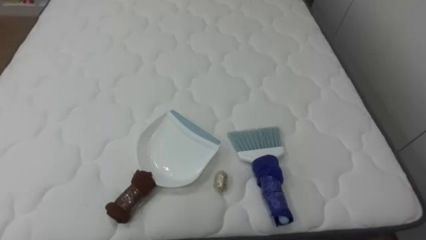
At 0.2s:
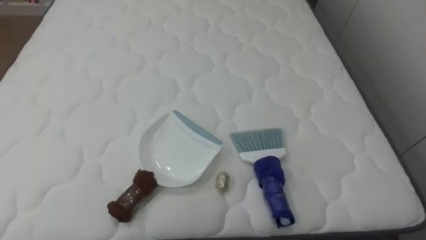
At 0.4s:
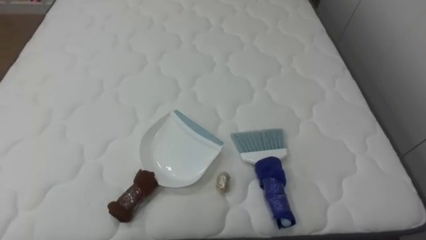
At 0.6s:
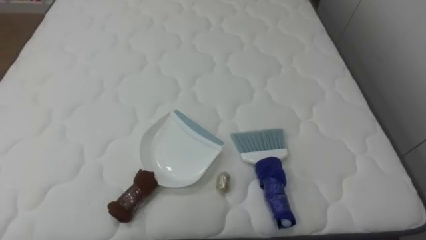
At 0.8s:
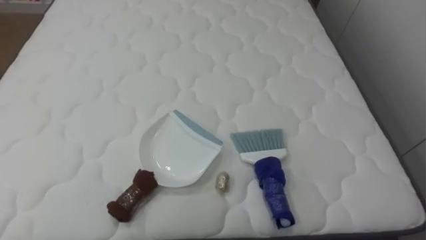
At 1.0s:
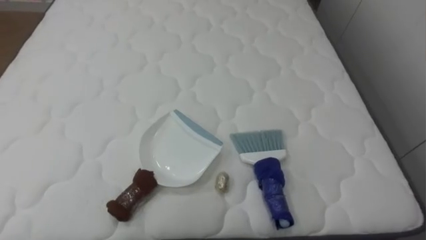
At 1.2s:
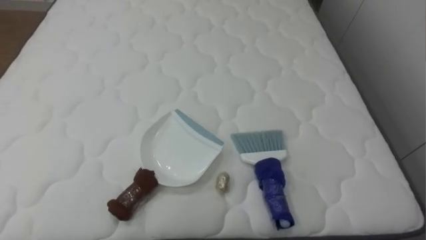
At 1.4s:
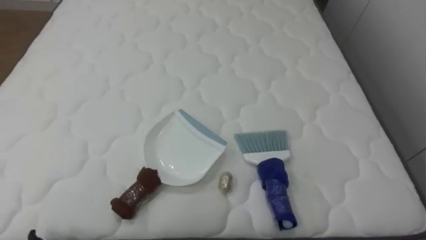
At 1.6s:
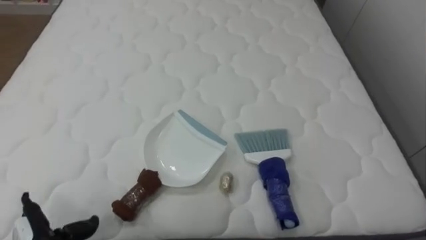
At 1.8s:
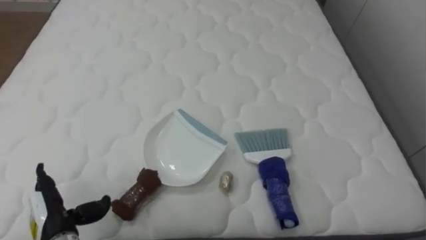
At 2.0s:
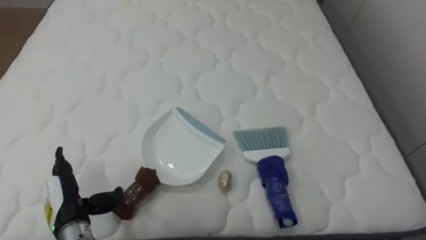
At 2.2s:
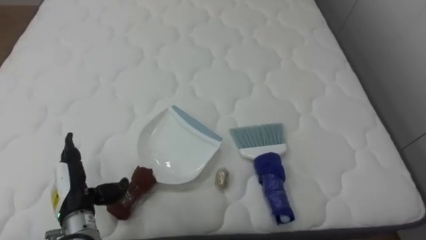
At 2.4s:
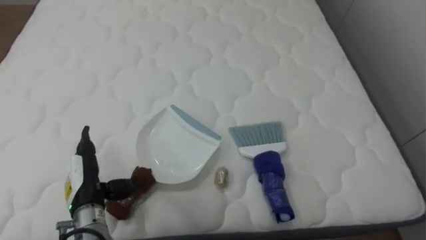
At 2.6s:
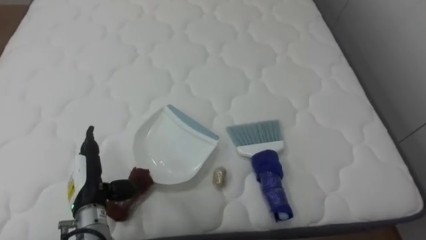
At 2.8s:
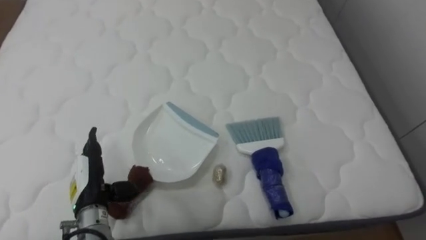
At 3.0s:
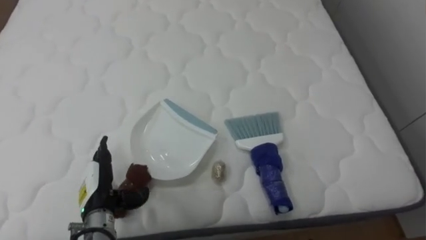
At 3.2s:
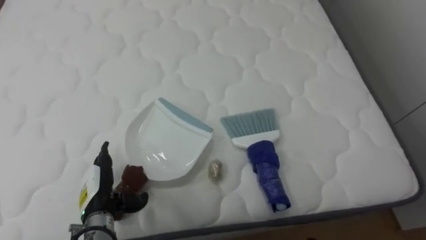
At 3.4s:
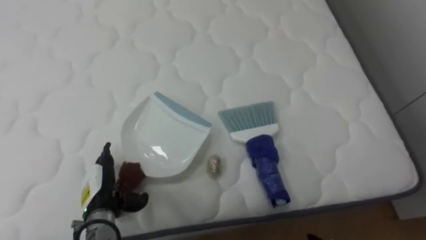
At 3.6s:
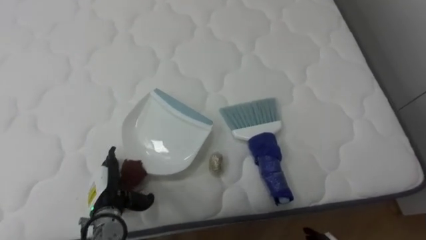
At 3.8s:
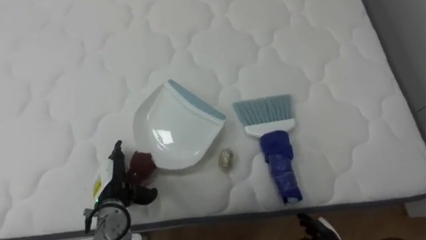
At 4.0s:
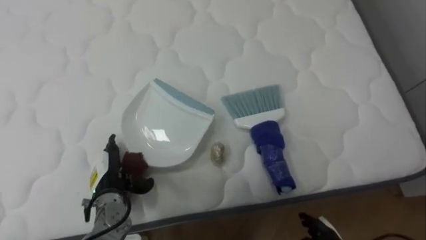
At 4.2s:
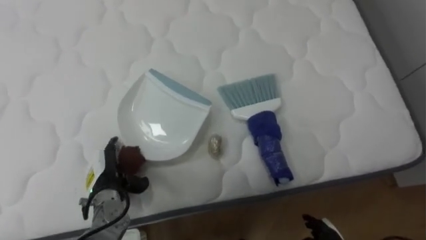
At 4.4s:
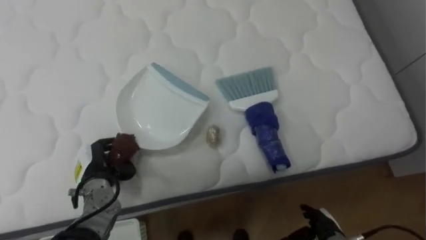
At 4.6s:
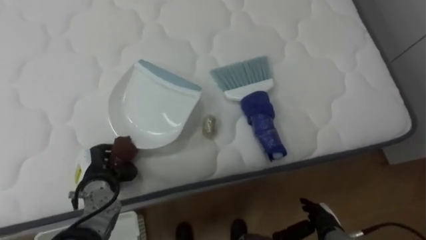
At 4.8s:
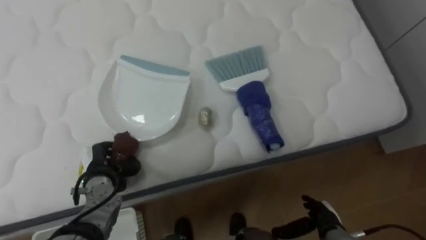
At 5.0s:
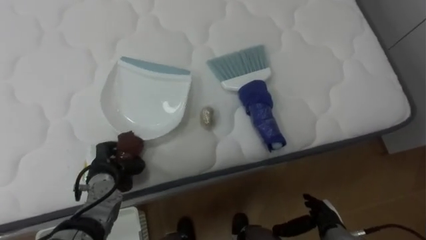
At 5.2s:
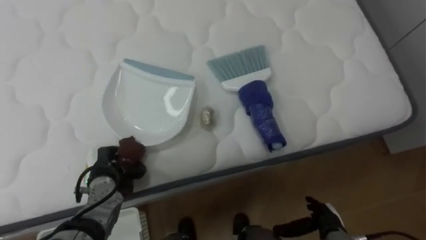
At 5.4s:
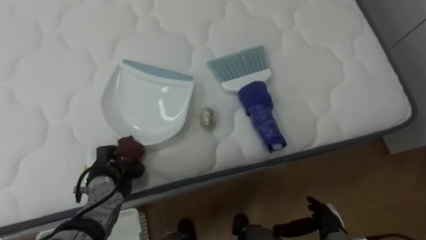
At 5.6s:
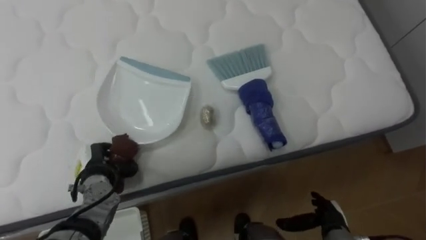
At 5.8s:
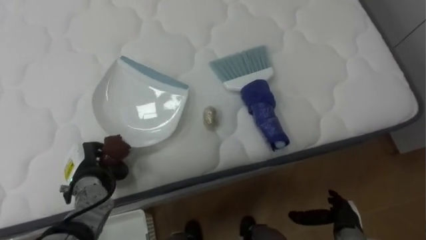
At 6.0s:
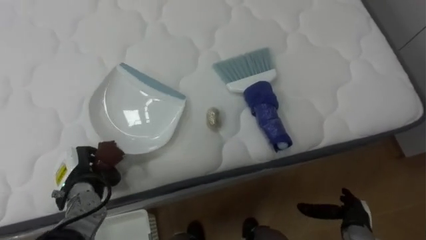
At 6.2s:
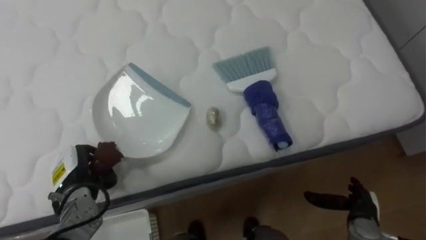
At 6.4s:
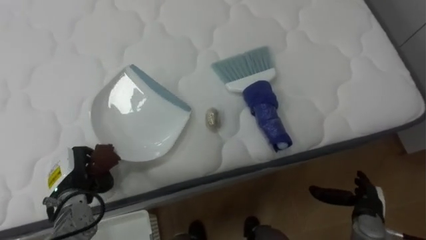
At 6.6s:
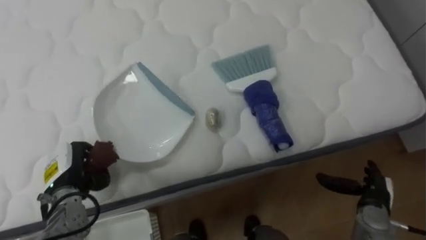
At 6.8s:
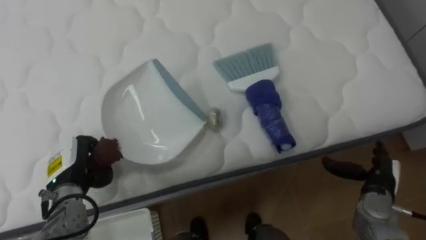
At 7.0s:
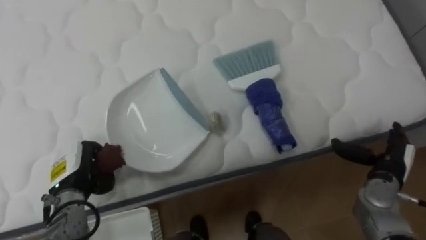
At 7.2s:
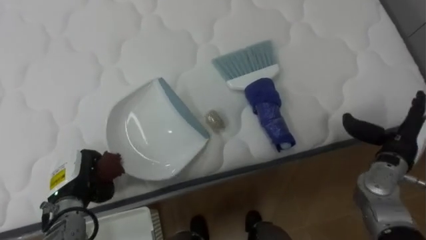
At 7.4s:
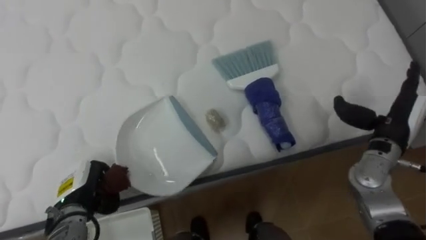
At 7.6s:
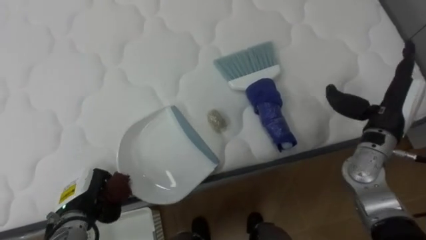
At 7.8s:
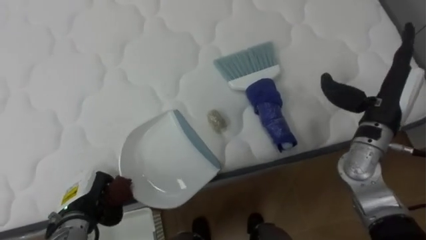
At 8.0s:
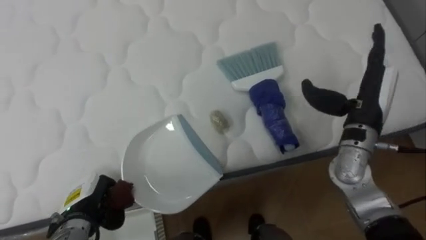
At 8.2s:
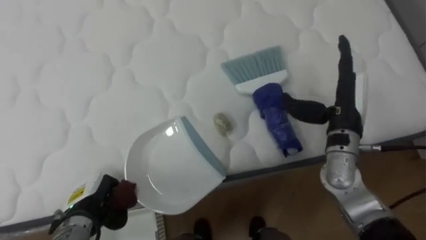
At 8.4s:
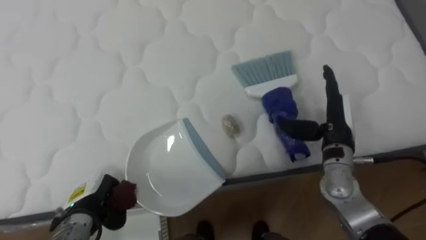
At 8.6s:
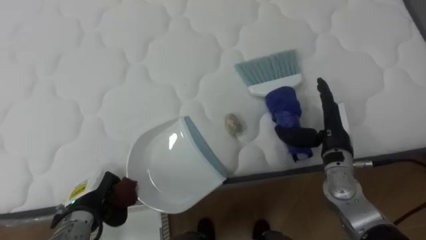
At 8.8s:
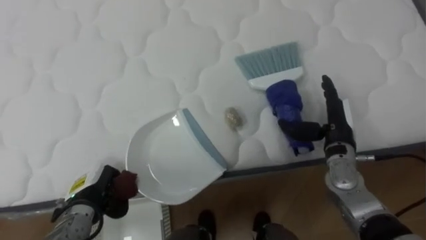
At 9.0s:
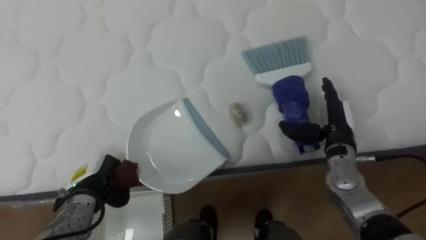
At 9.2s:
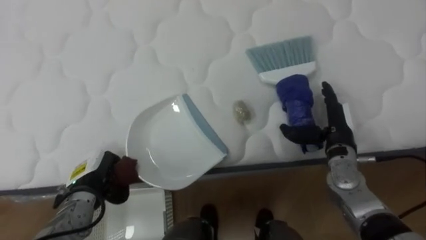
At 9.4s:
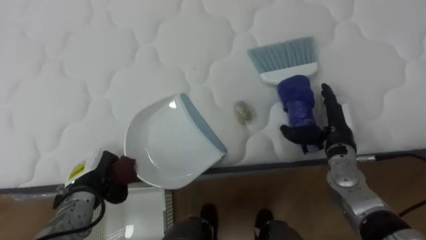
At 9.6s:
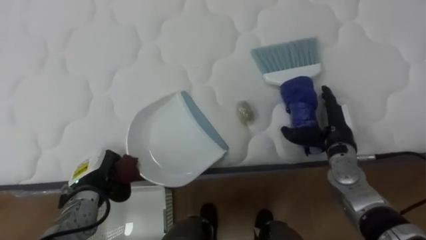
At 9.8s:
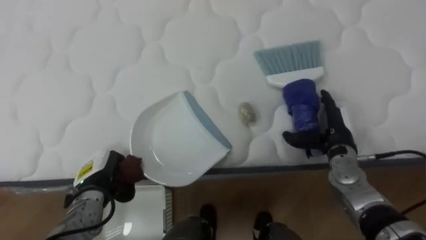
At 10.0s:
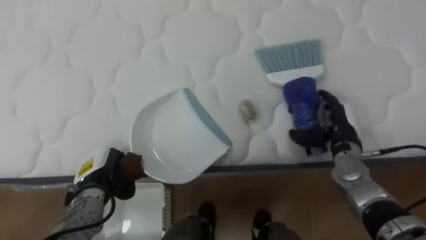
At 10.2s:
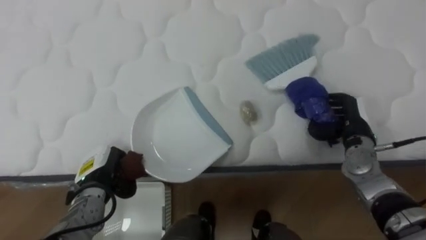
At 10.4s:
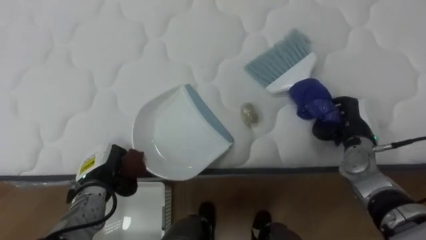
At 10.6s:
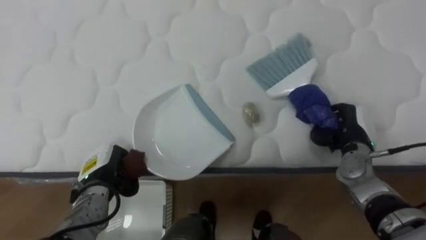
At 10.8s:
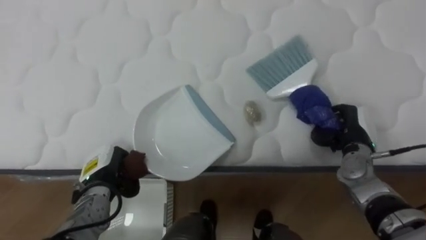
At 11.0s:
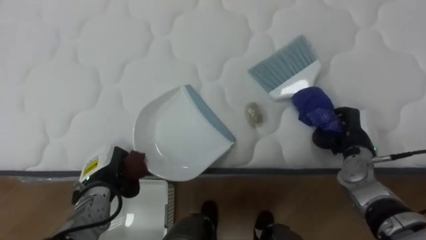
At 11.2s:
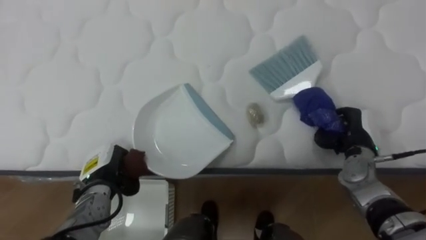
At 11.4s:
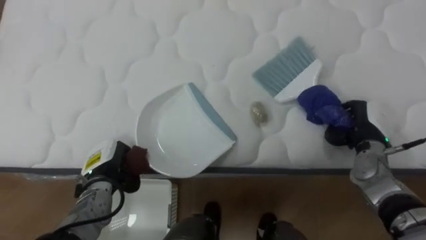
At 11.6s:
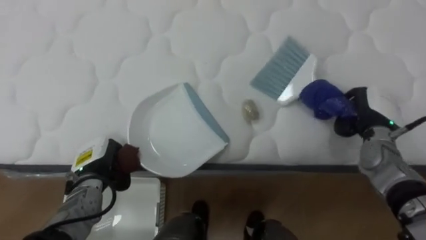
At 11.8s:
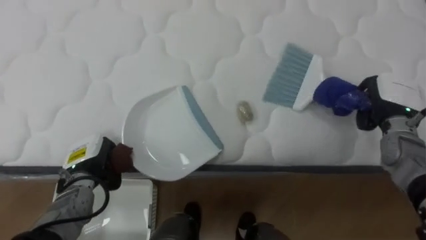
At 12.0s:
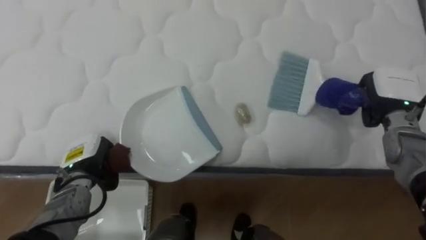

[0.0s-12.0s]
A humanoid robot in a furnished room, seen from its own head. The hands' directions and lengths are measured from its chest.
Task of the whole recording: Pick up the brush on your right and the dustpan on your left. Use the brush to sweep the crumpled paper on the bed into the dustpan, then turn left and empty it into the basket.
3.0s to 4.4s: The left hand travels forward by roughly 5 cm, and closes up.
4.4s to 6.0s: The left hand closes up; the right hand goes some 5 cm to the right.
6.0s to 7.6s: The right hand shifts some 25 cm upward and forward.
7.6s to 9.0s: The right hand moves downward and to the left, approximately 10 cm.
9.0s to 10.4s: The right hand closes.
10.4s to 12.0s: The right hand travels upward by about 5 cm.

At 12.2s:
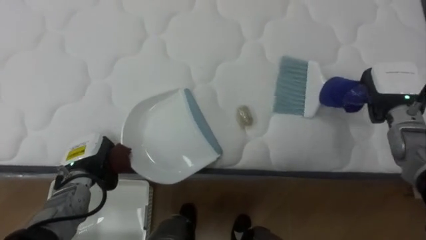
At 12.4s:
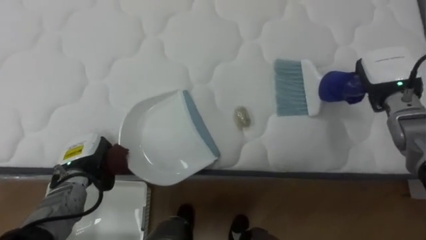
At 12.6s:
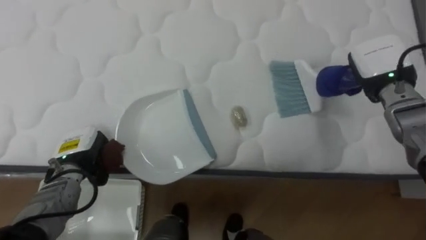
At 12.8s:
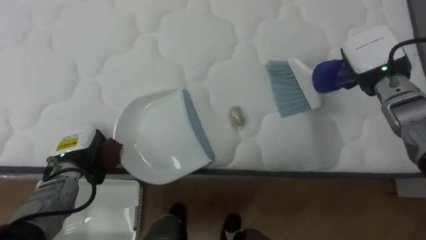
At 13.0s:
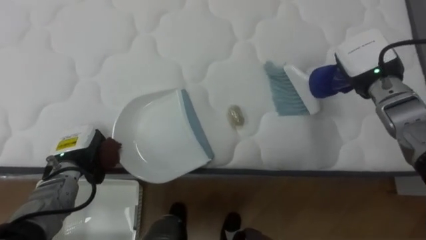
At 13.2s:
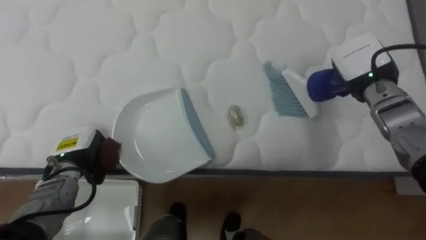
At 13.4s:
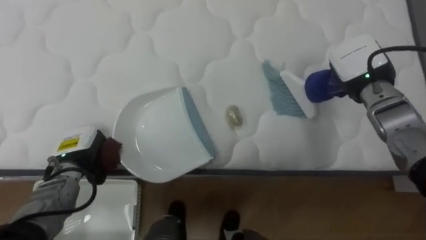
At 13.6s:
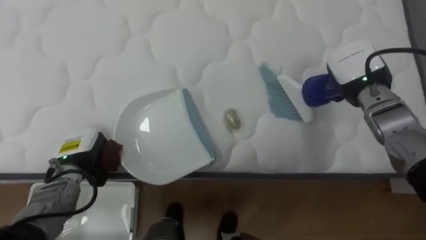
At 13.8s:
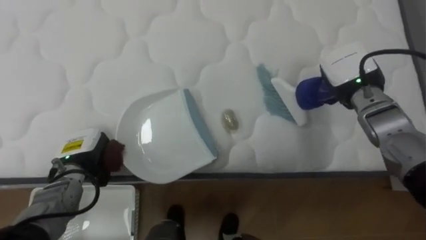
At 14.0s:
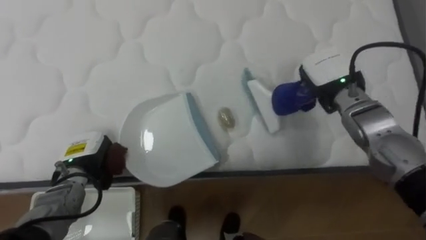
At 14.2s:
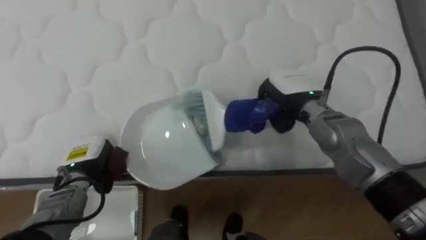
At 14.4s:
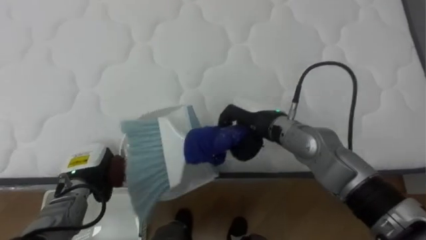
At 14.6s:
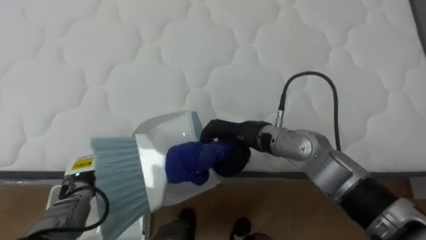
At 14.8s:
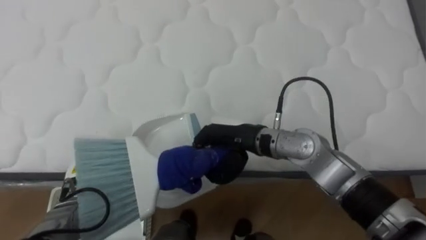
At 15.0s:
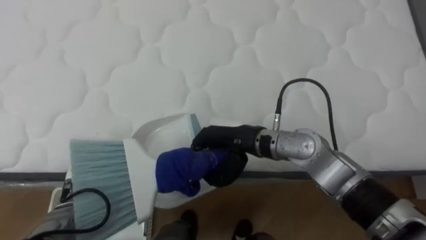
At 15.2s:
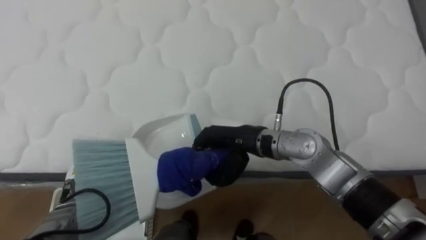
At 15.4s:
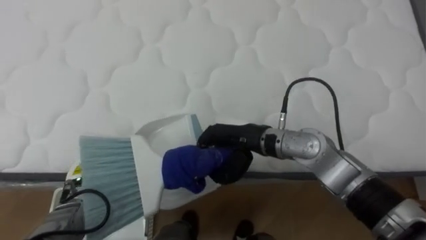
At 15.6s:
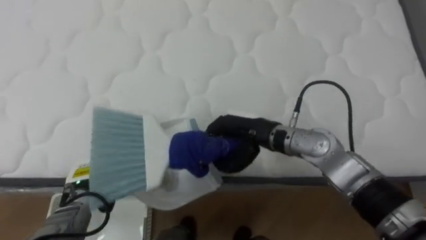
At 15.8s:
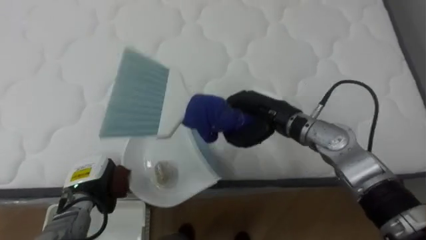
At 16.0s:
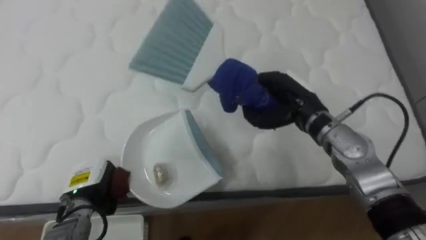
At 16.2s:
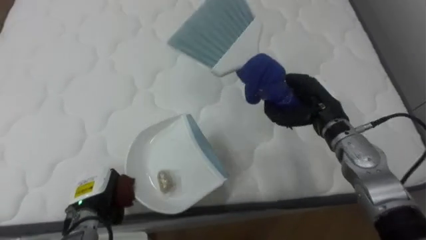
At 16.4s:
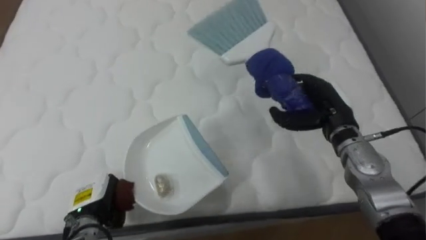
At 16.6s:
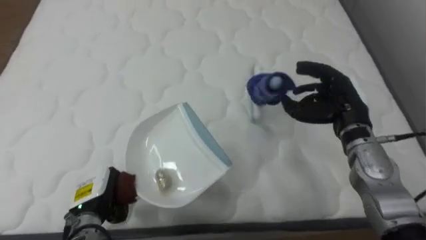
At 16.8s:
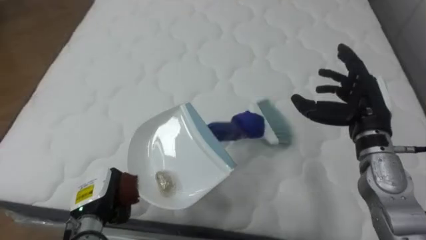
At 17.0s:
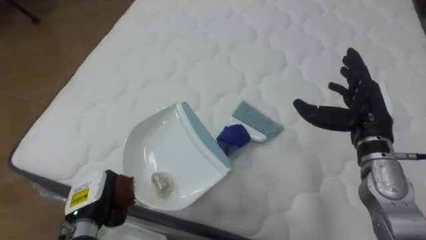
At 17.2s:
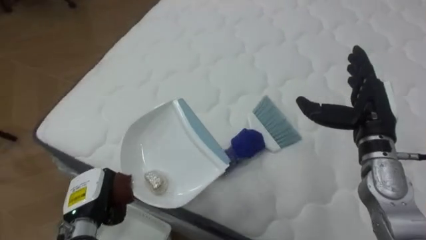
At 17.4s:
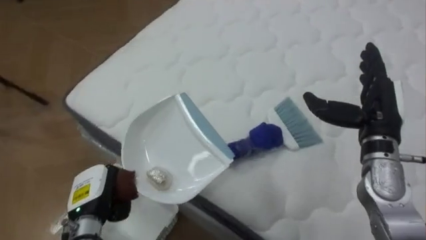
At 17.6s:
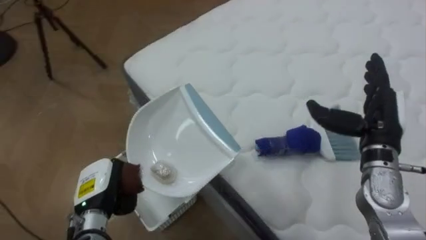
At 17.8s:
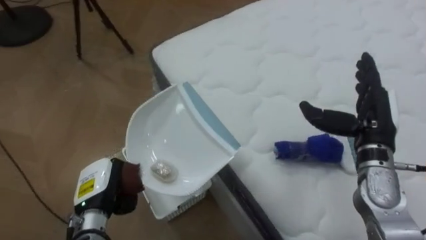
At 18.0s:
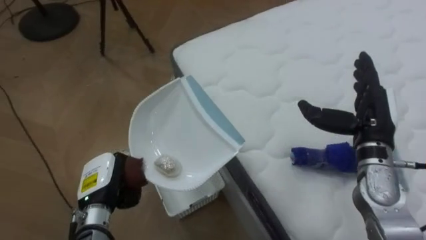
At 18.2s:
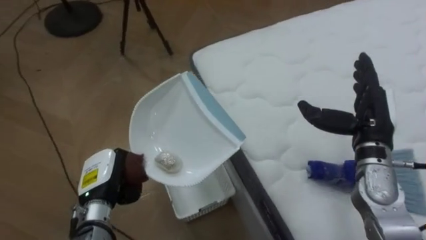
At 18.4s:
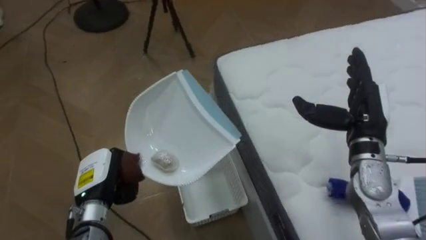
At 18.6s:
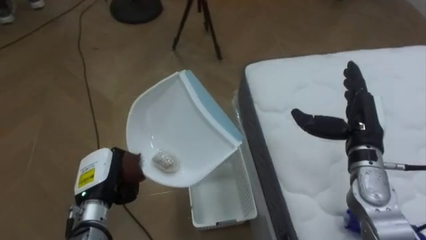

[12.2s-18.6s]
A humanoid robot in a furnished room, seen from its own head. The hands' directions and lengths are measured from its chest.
Task of the whole recording: Pick up the brush on your right and the dustpan on your left. Use the brush to sweep the crumpled paper on the bed into the dustpan, then turn left and empty it into the basket.
12.2s to 13.8s: The right hand travels to the left by some 10 cm.
13.8s to 15.4s: The left hand moves approximately 5 cm, while the right hand shifts about 20 cm to the left and backward.
15.4s to 17.0s: The robot faces approximately 20 degrees further to its left. The right hand goes roughly 20 cm to the right, and opens up. Meanwhile the left hand shifts roughly 5 cm backward.
17.0s to 18.6s: The robot rotates about 60 degrees to its left.
